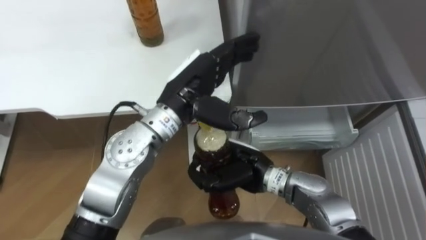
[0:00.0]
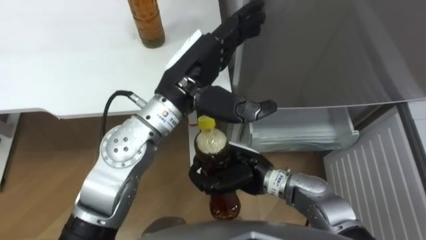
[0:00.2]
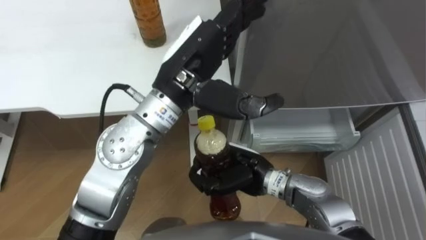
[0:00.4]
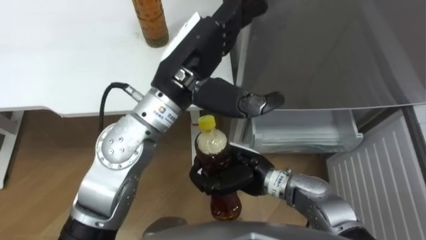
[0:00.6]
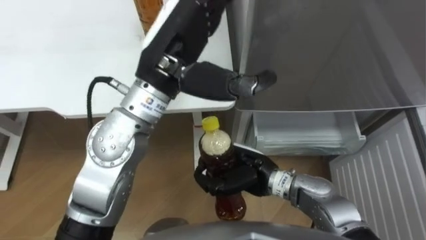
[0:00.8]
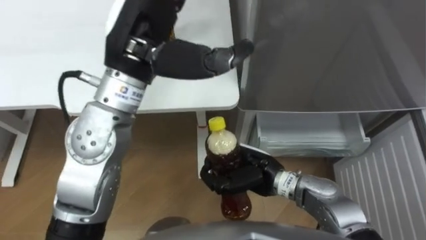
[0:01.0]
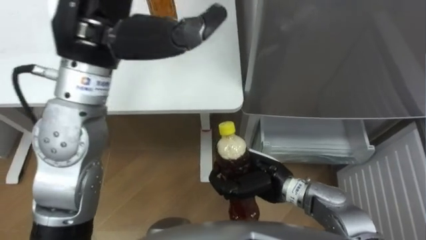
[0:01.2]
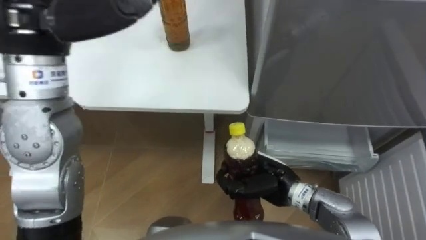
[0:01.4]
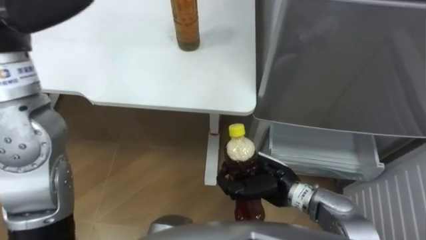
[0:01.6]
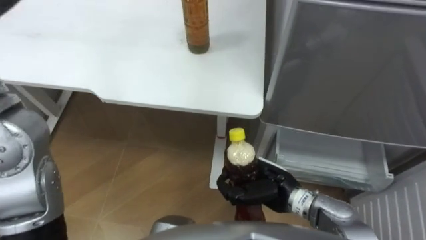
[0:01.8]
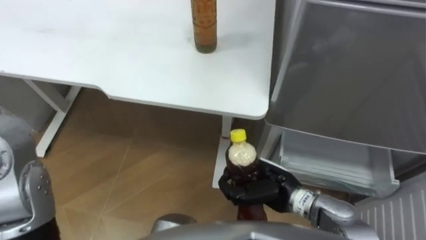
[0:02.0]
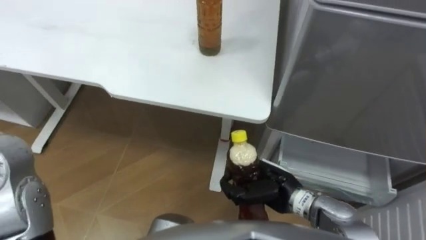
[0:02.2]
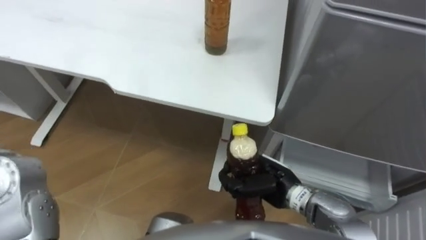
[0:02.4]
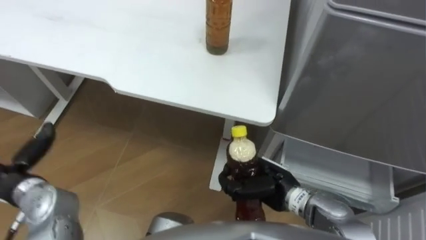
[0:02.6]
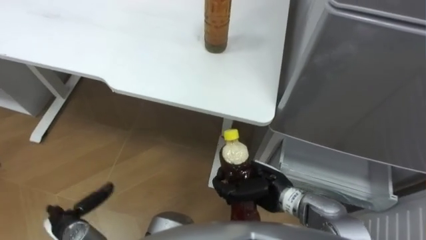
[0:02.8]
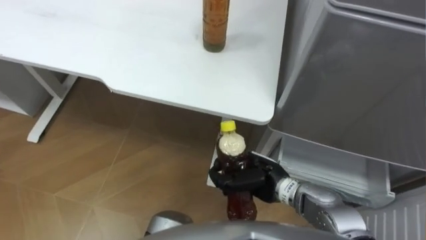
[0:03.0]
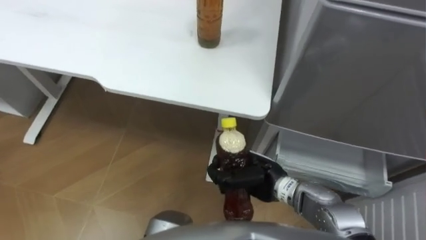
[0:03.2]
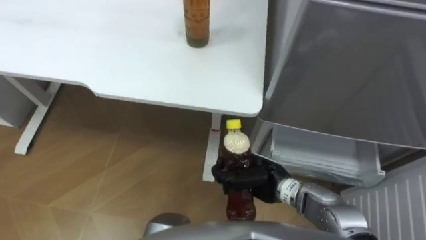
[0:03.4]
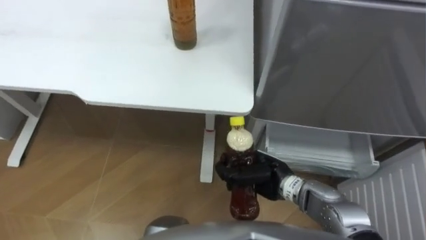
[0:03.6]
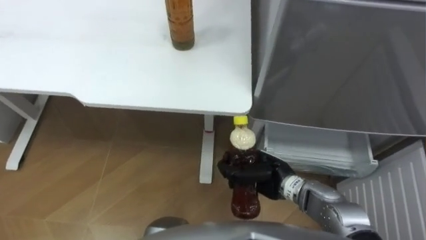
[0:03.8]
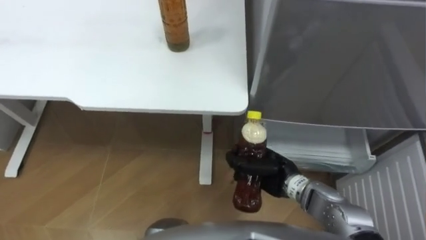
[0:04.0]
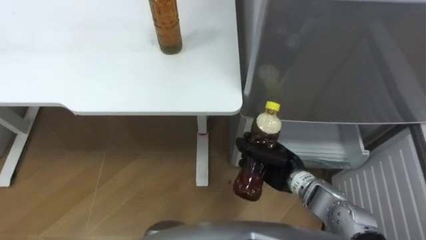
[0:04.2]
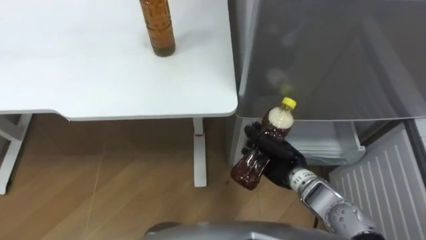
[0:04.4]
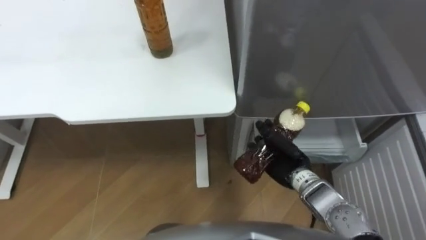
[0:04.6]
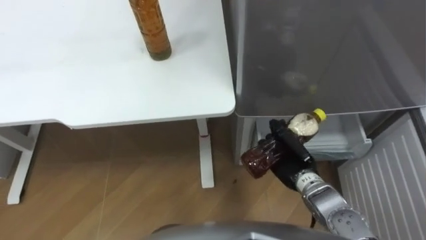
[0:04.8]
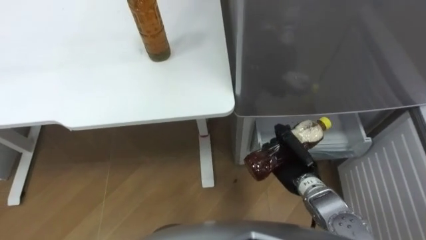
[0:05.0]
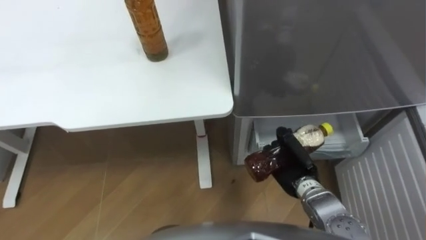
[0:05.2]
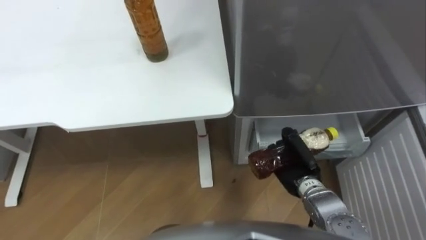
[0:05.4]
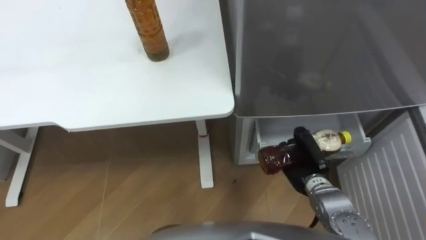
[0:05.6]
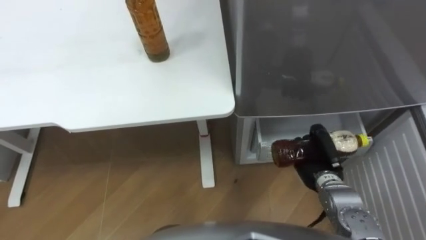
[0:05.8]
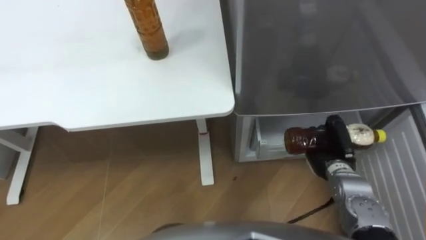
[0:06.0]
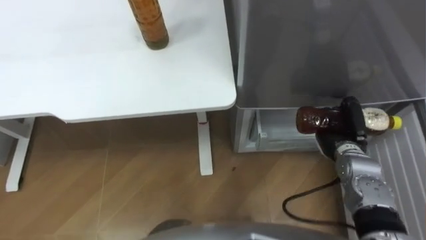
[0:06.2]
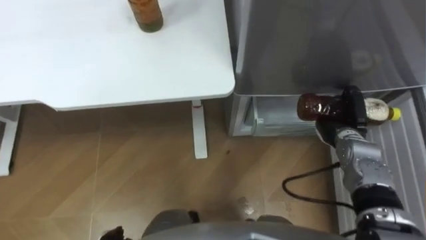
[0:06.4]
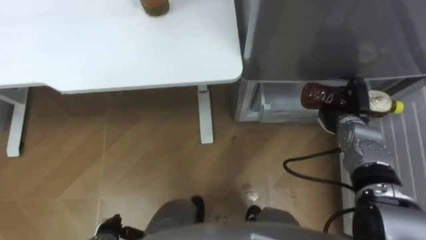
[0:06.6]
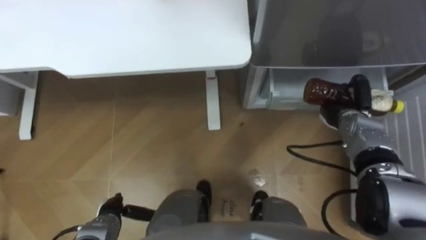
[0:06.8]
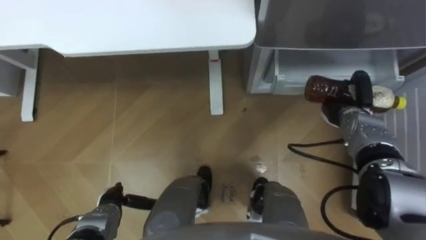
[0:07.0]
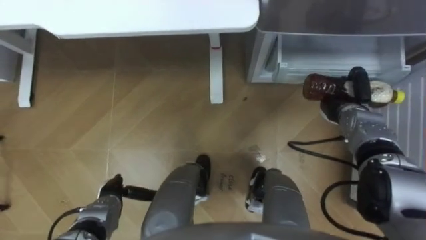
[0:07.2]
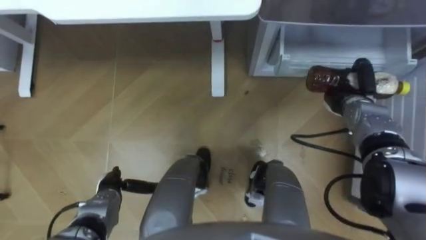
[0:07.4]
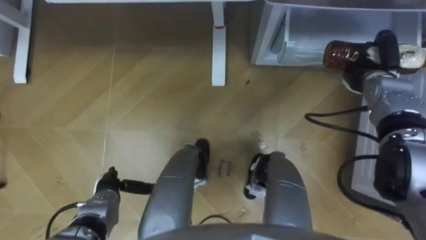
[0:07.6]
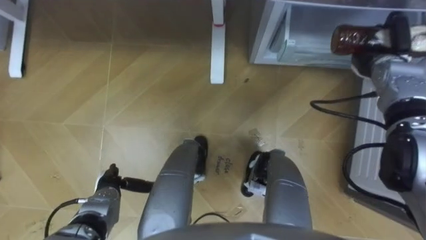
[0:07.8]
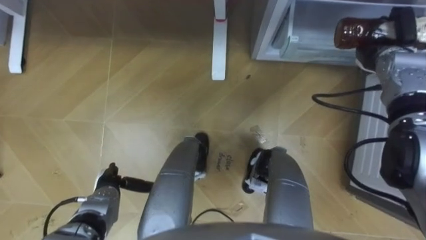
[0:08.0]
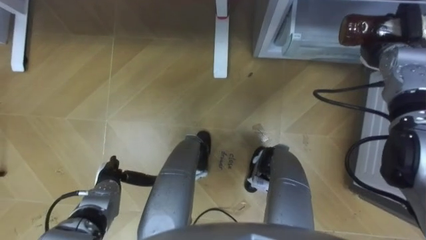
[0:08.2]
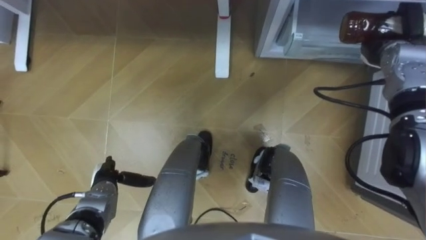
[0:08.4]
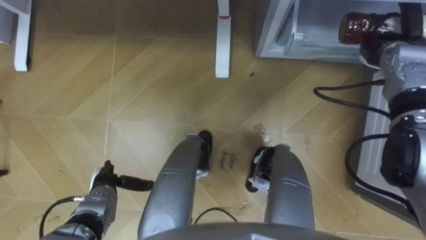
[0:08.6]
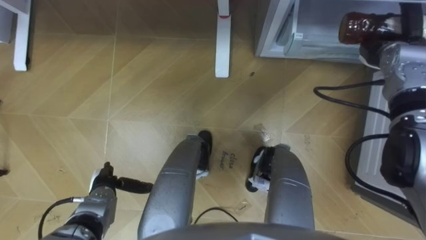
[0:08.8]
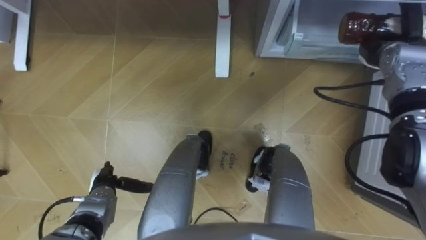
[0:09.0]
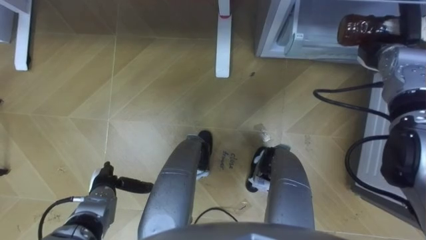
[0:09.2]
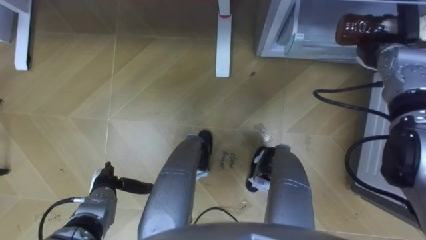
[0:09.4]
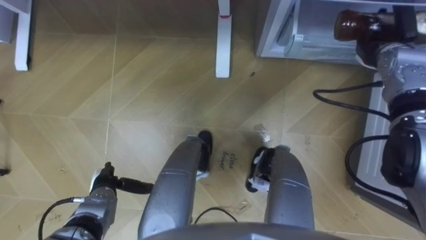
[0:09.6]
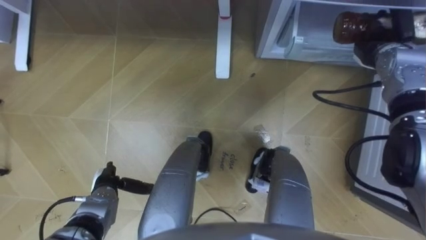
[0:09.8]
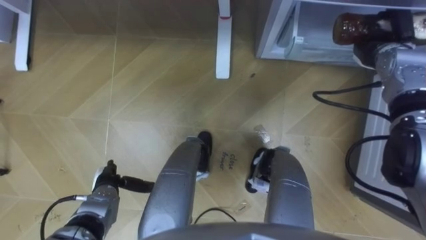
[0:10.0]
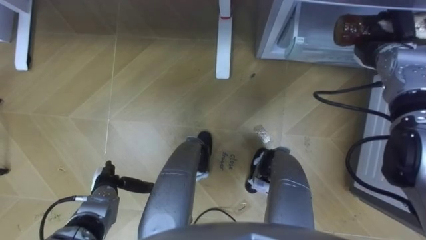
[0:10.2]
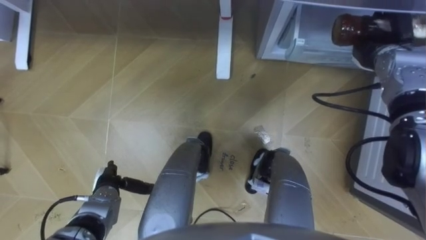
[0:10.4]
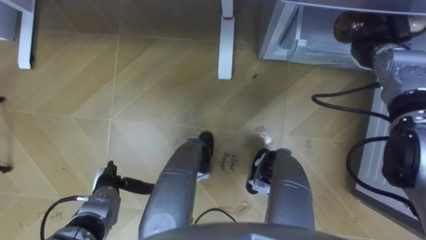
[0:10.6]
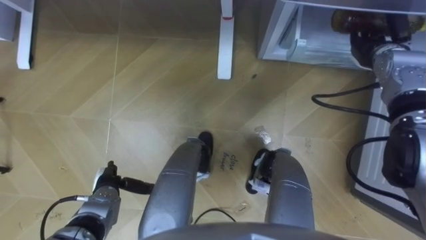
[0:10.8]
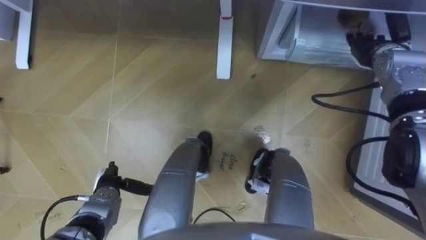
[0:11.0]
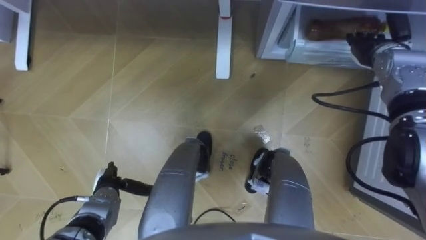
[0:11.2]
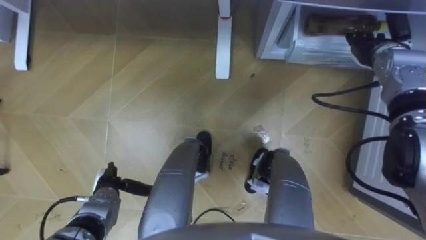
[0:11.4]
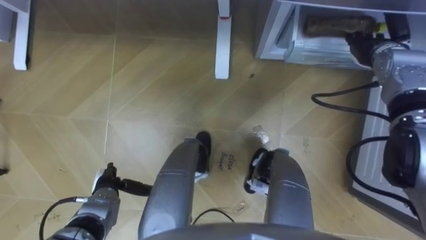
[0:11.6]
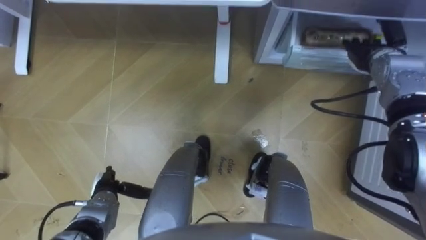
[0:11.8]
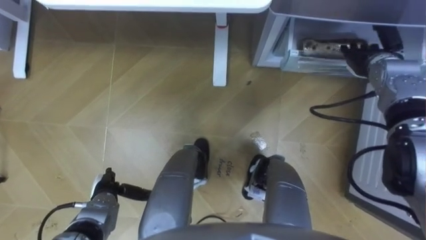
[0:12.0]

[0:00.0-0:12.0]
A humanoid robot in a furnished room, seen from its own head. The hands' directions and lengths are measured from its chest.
Task of the whole recording: Place the drink on the table on the bottom shelf of the refrigerator, then close the drawer and the refrigerator door.
0.0 to 1.6 s: The right hand goes roughly 5 cm to the right.
3.0 to 4.4 s: The right hand shifts by roughly 5 cm.
4.4 to 6.0 s: The right hand goes roughly 10 cm to the right.
6.0 to 7.6 s: The right hand heads forward, upward and to the right, covering approximately 20 cm.
7.6 to 9.0 s: The right hand is displaced upward by about 5 cm.
9.0 to 10.4 s: Neither hand changes place.
10.4 to 12.0 s: The right hand opens up.

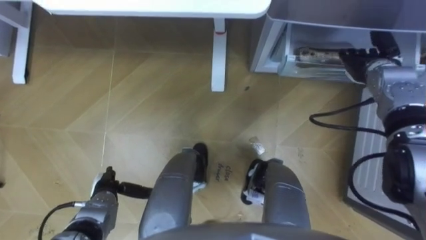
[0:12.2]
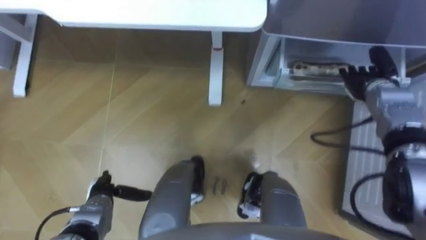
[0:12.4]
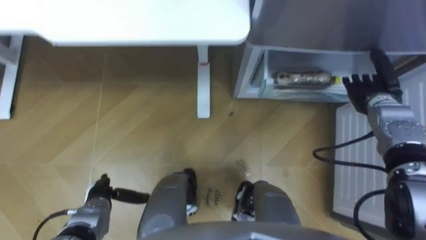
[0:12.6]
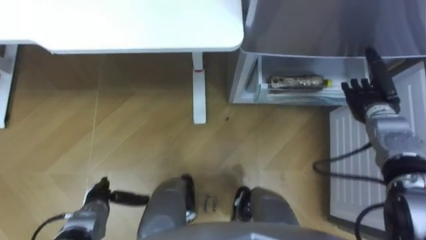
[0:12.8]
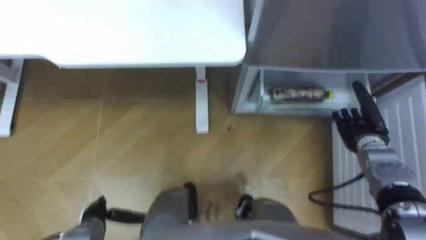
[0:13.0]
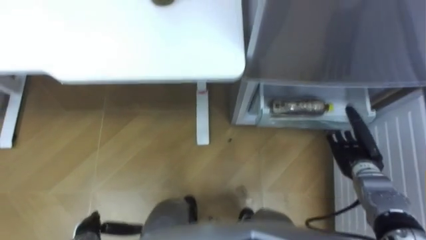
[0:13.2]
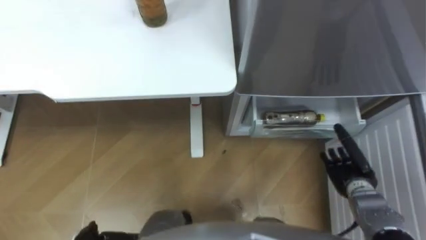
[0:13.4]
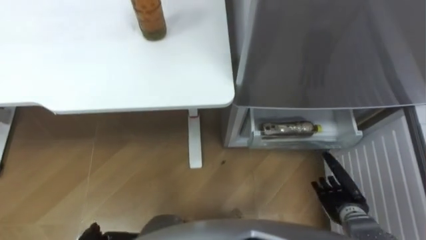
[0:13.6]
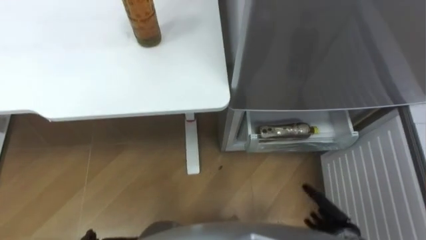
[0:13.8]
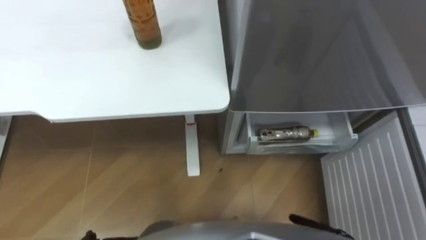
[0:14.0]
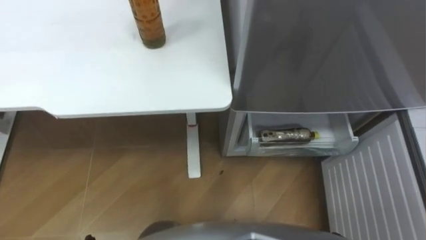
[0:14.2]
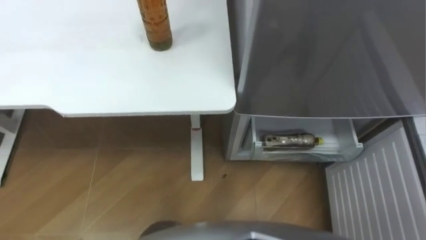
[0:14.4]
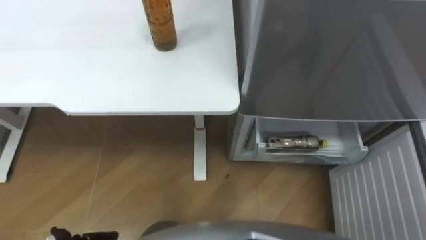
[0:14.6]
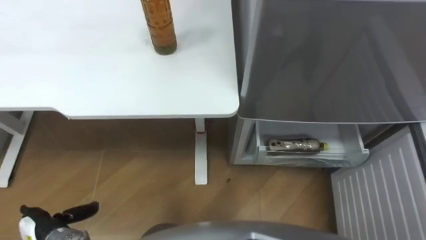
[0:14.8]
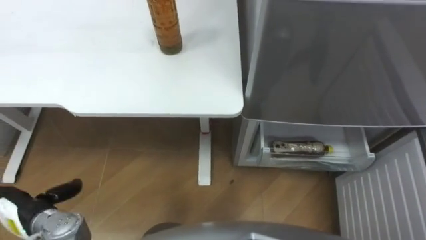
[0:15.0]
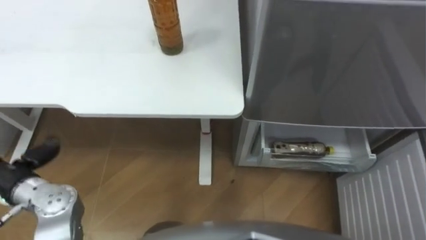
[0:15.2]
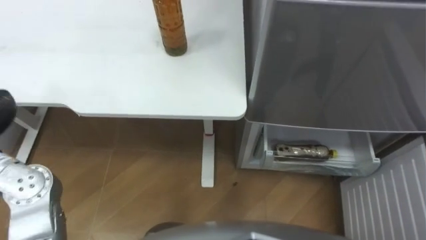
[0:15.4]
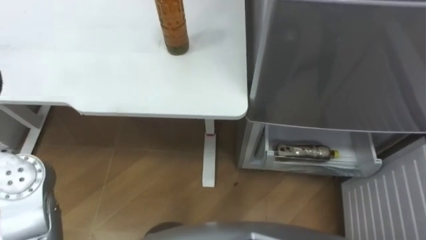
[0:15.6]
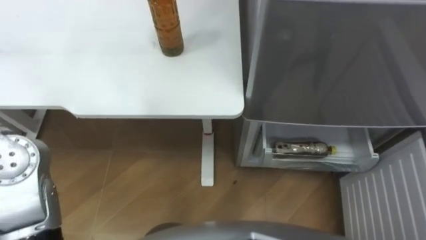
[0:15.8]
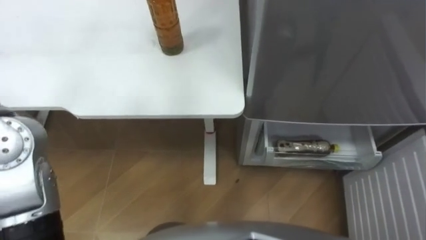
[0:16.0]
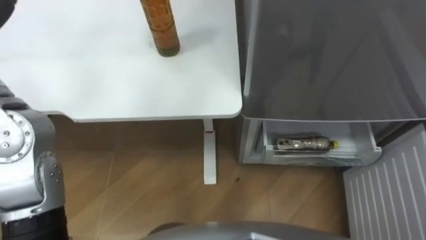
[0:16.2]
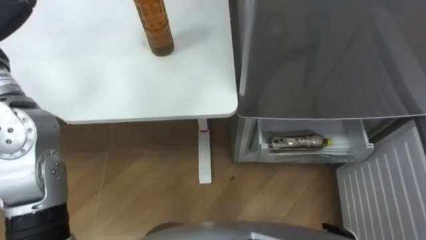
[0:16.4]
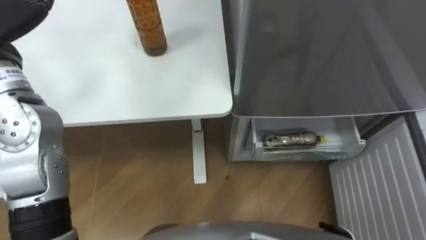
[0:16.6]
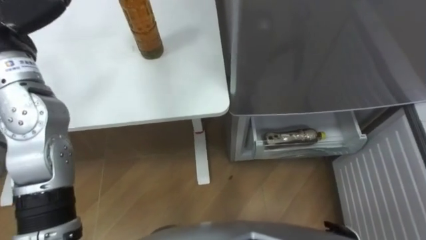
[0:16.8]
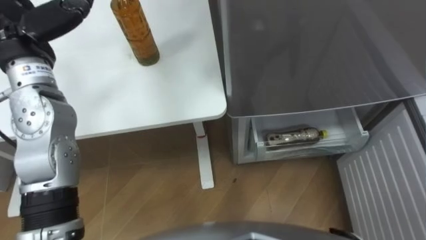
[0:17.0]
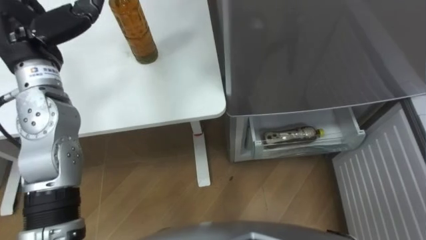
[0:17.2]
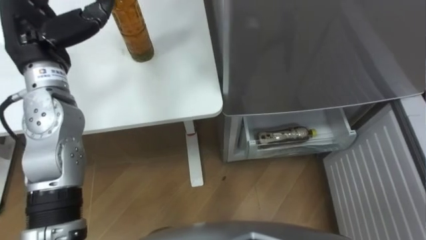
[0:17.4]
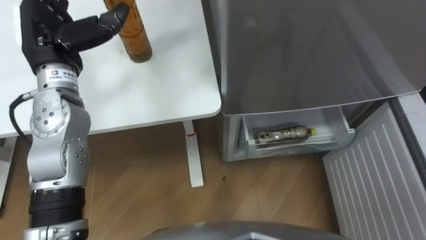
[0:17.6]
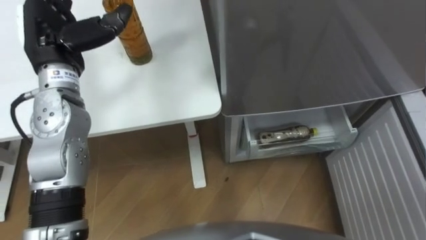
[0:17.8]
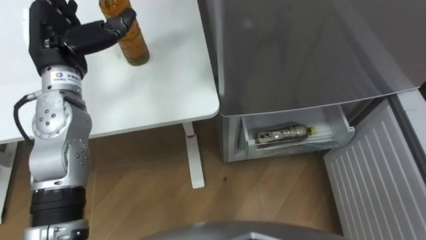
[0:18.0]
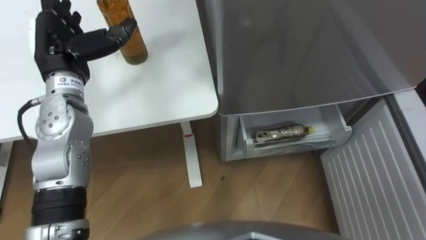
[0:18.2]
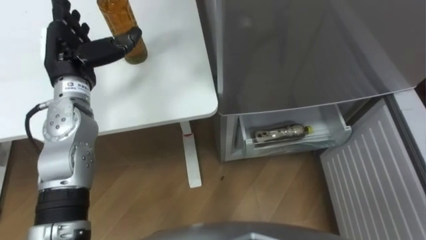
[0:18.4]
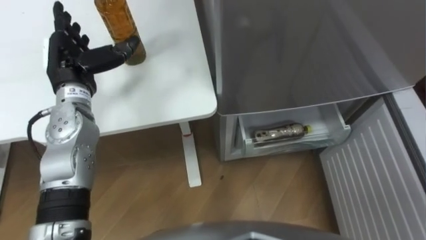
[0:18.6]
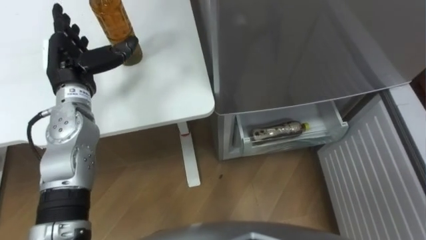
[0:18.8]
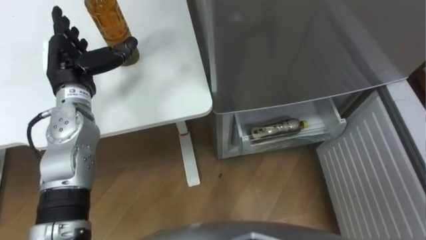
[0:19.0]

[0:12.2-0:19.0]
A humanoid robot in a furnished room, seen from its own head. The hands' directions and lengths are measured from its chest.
Task of the whole recording: Place the drink on the table on the bottom shelf of the refrigerator, then close the drawer and the refrigerator door.
12.2 to 13.6 s: The right hand goes approximately 30 cm backward and downward.
17.6 to 19.0 s: The left hand goes about 5 cm downward.
